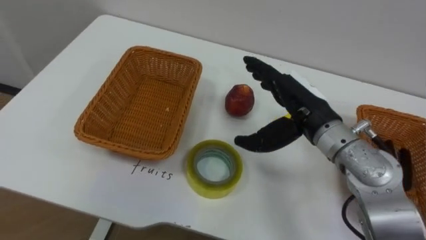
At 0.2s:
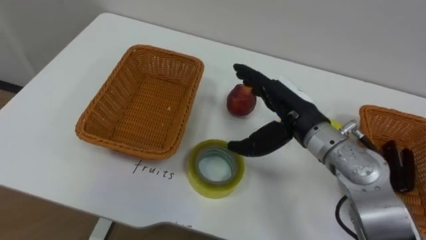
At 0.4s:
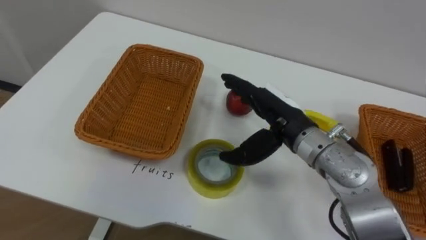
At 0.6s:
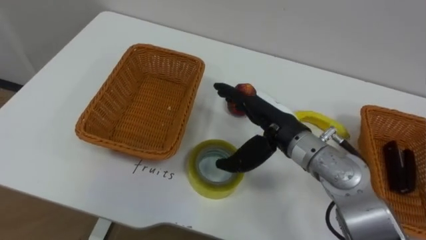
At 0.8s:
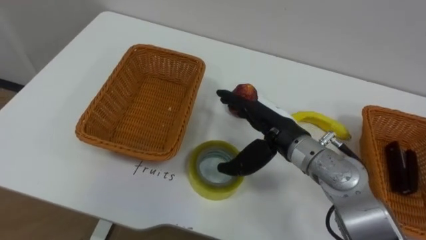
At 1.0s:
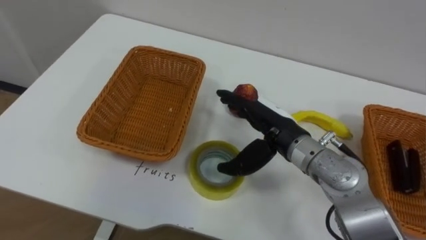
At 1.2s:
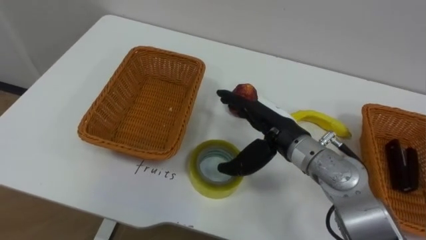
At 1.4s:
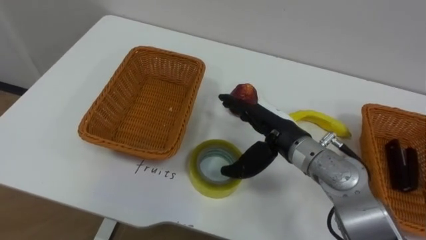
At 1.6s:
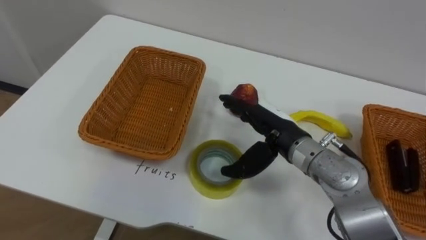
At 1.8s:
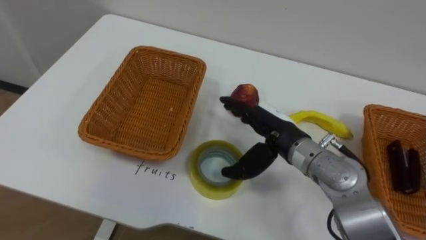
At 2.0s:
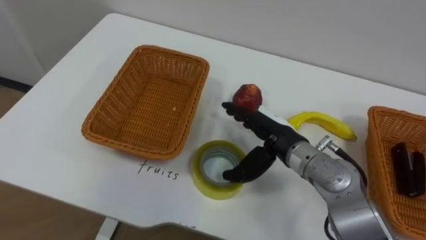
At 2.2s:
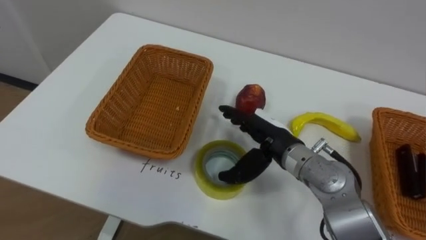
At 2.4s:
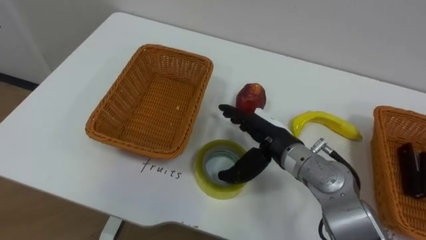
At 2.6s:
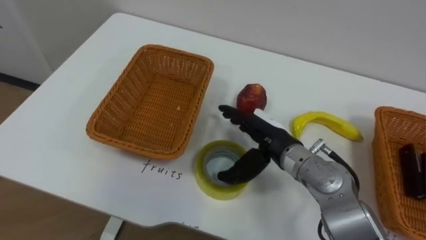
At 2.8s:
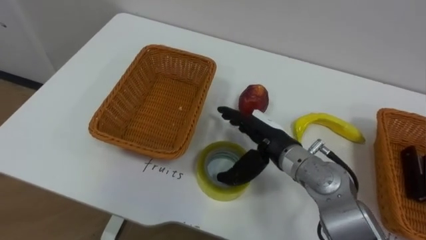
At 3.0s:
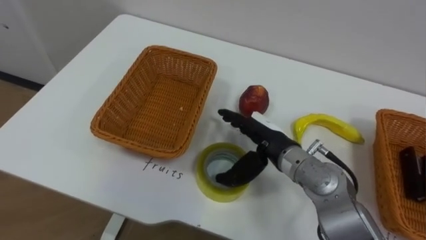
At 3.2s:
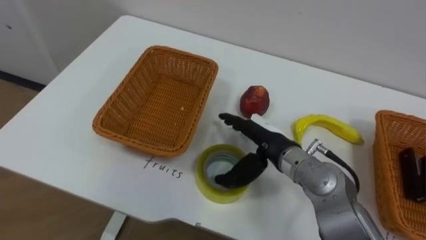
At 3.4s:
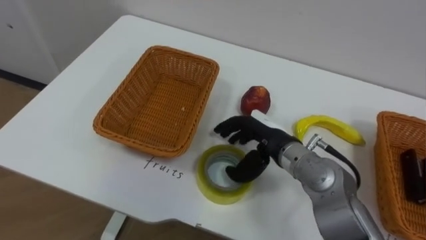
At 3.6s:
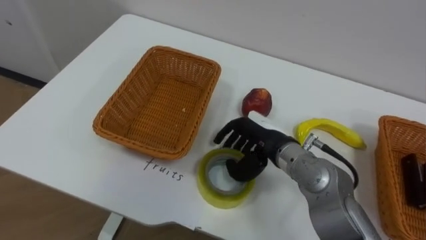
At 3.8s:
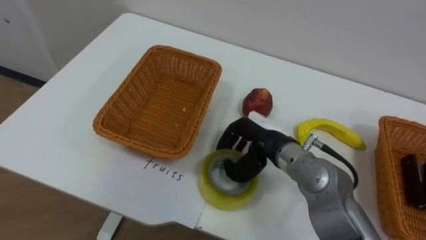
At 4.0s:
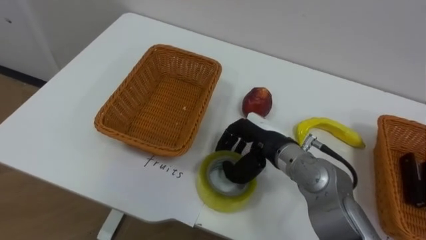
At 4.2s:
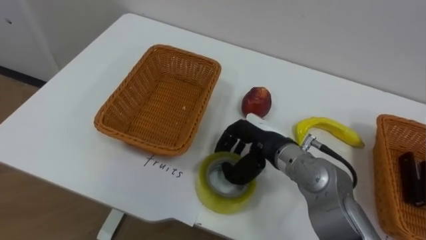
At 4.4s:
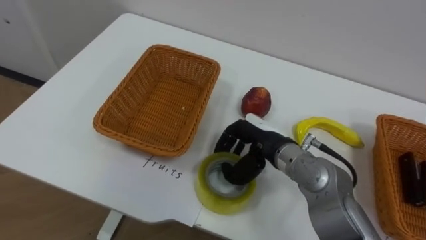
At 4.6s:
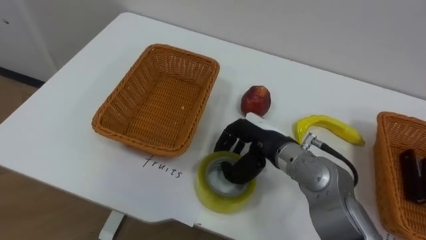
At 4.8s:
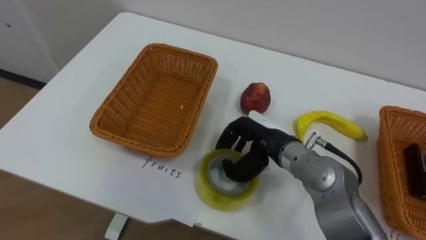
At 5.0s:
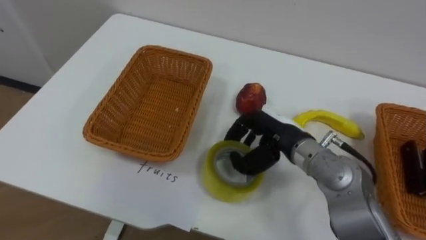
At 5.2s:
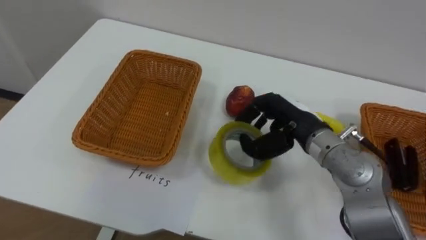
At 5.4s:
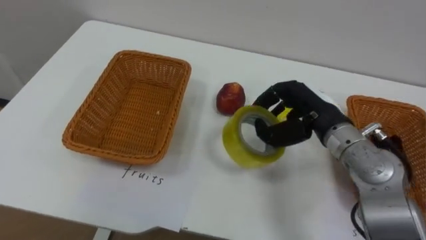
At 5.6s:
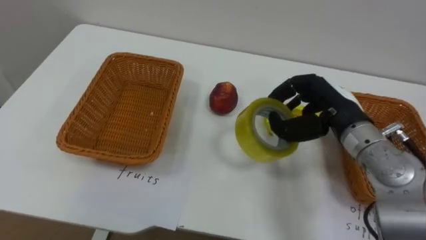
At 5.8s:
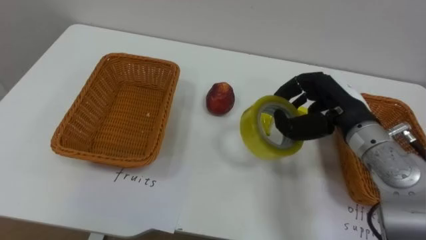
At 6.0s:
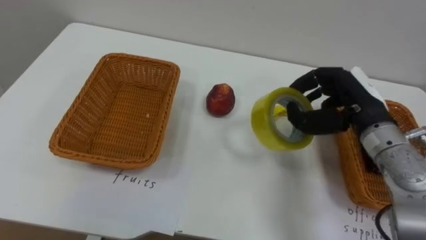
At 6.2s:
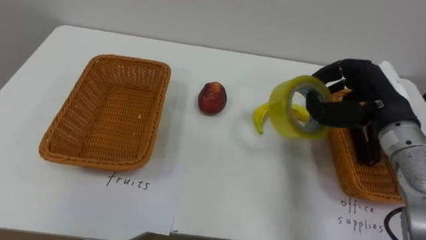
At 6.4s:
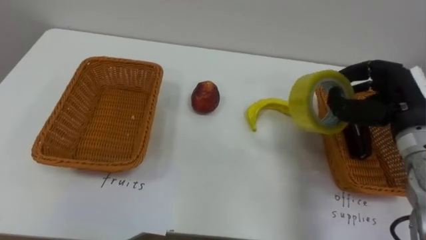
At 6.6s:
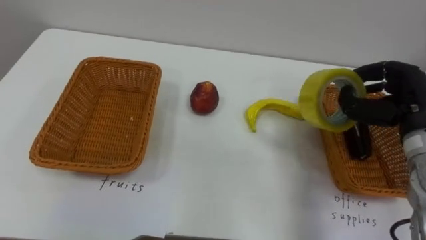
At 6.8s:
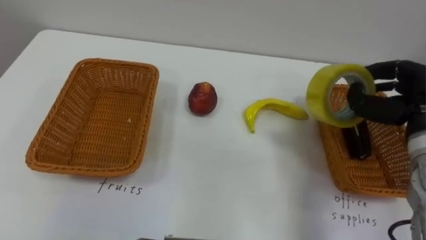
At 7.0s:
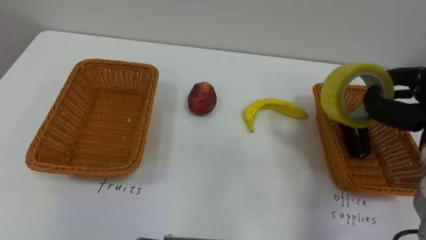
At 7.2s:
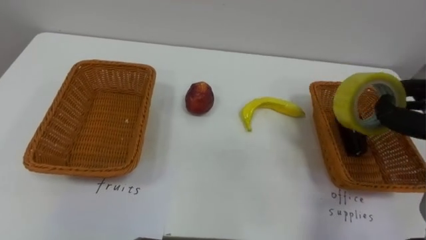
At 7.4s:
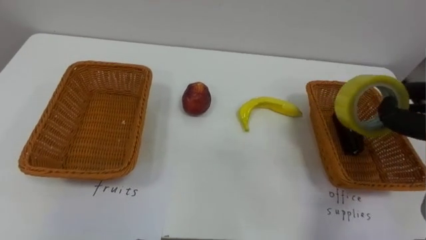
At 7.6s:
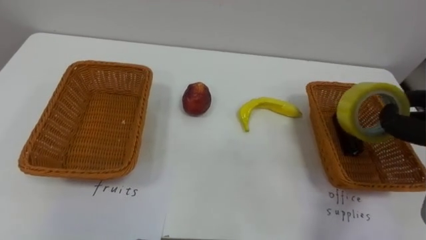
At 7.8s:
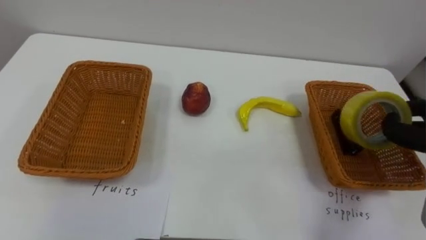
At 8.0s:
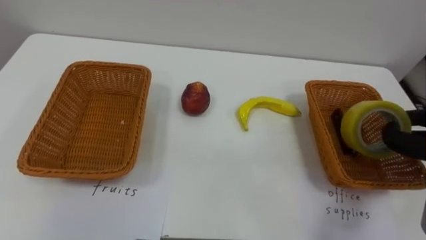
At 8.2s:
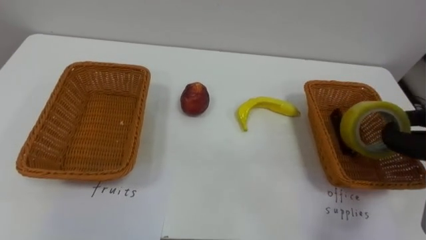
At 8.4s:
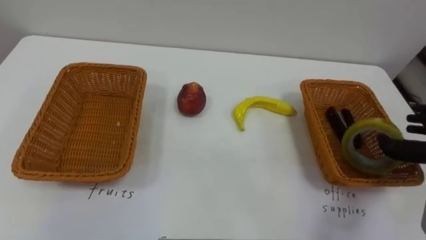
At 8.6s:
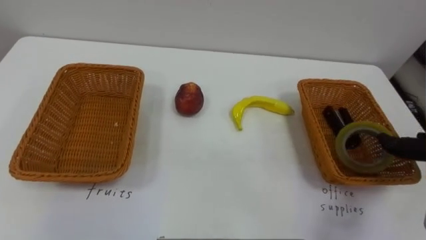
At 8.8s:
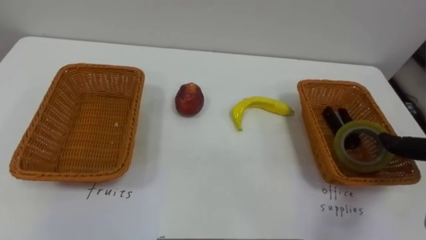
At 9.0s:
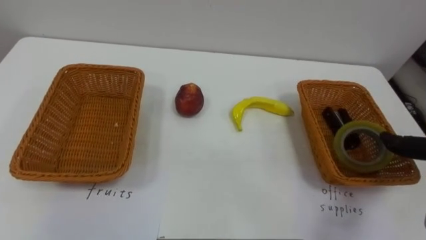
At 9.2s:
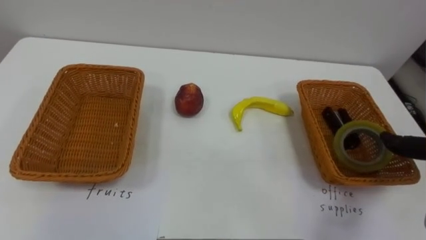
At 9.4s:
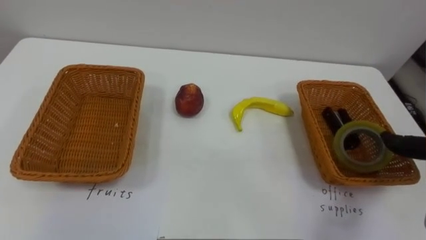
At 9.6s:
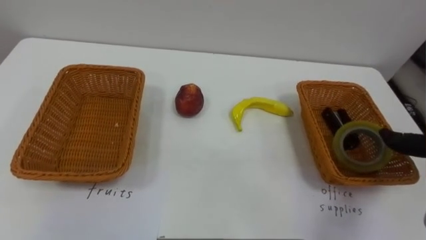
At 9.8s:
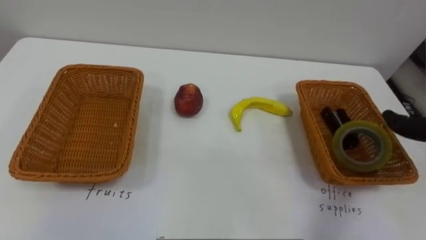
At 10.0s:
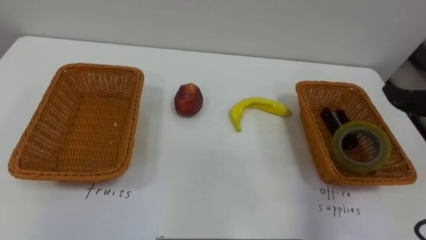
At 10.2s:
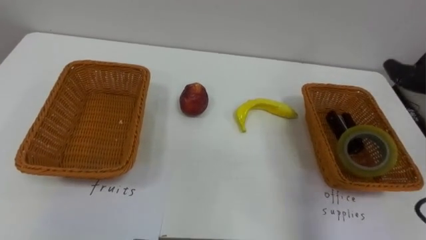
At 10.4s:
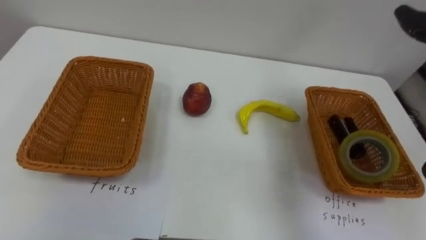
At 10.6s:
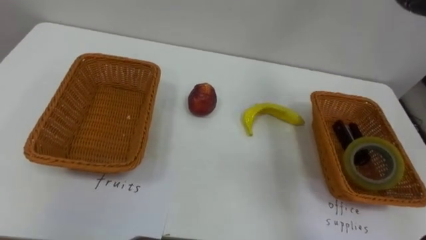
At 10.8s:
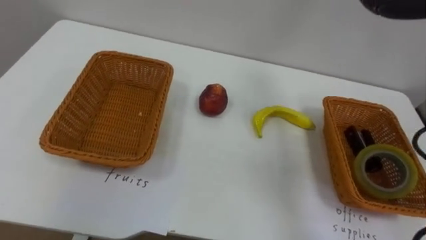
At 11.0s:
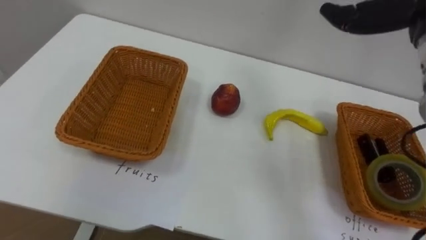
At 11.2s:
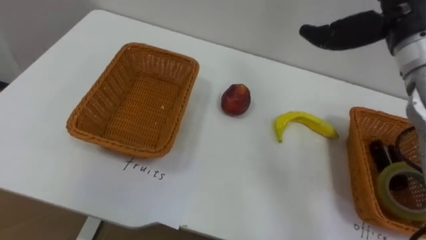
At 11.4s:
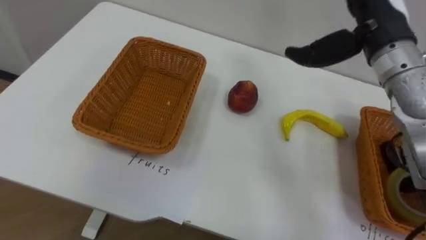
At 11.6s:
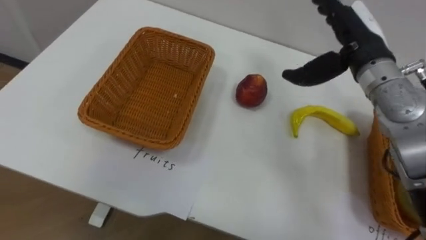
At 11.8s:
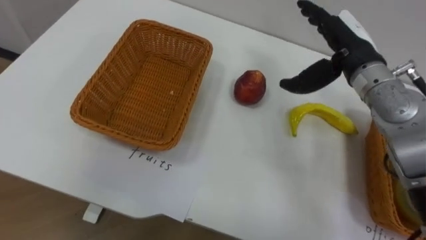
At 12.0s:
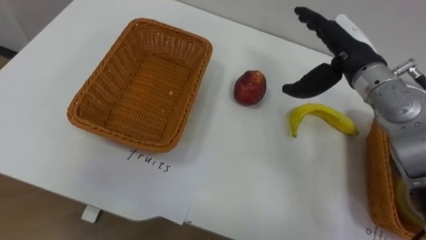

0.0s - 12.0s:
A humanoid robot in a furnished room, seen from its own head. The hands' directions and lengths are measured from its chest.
Task of the whole recording: Separate the items on the table and place them into the two baskets.
0.0s - 1.6s: The right hand shifts by approximately 5 cm.
3.0s - 4.4s: The right hand closes up.
4.4s - 6.0s: The right hand heads to the right and upward, covering approximately 15 cm.

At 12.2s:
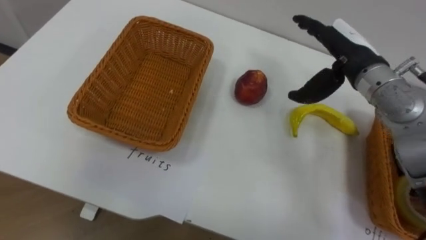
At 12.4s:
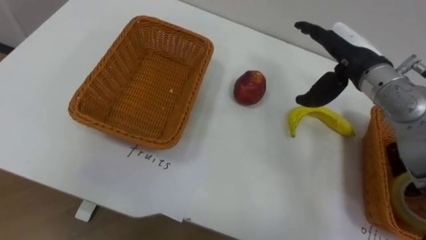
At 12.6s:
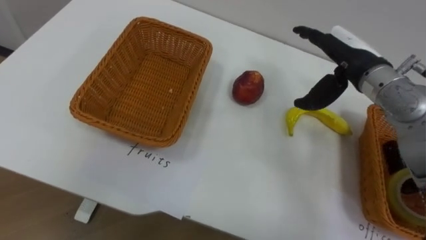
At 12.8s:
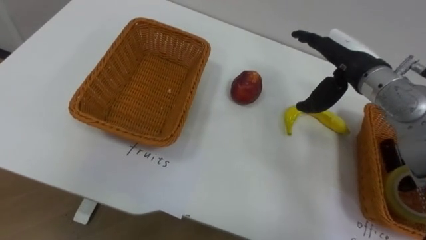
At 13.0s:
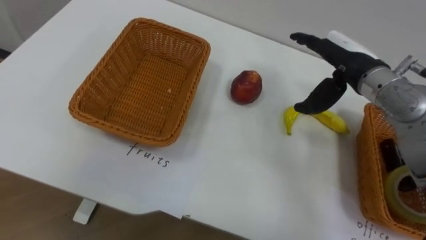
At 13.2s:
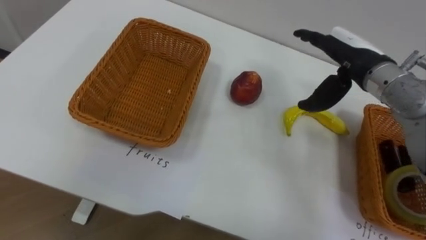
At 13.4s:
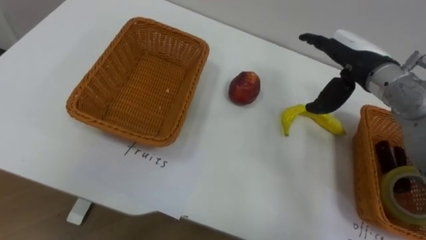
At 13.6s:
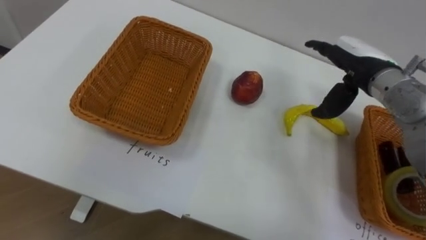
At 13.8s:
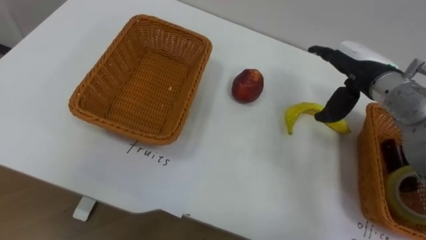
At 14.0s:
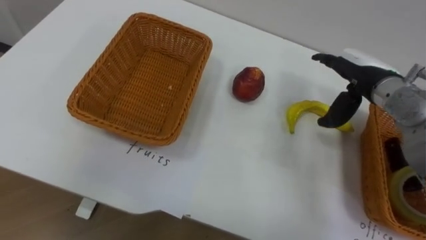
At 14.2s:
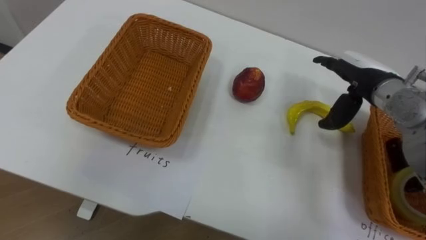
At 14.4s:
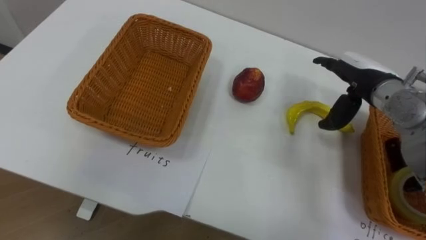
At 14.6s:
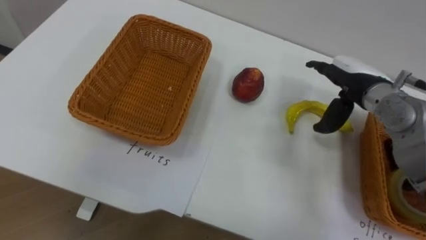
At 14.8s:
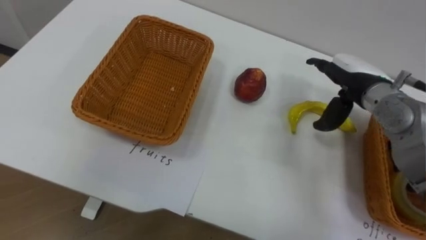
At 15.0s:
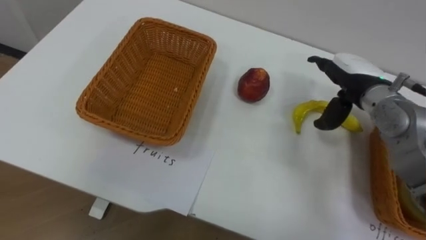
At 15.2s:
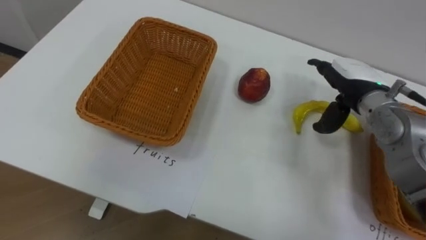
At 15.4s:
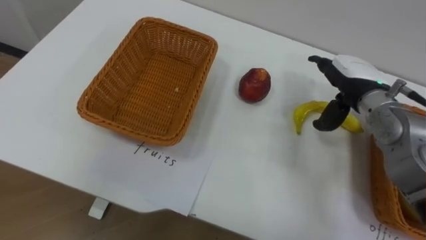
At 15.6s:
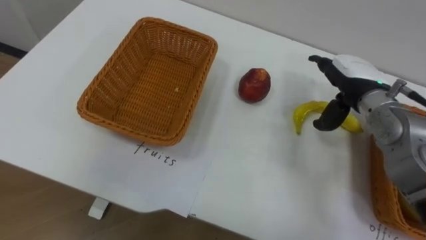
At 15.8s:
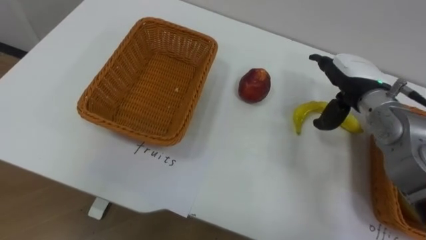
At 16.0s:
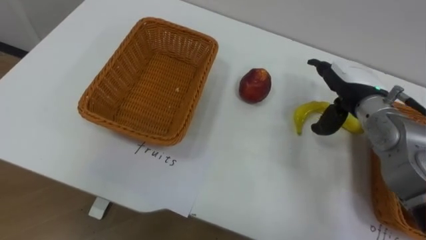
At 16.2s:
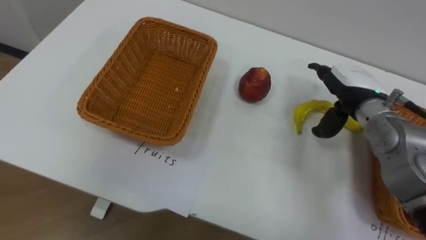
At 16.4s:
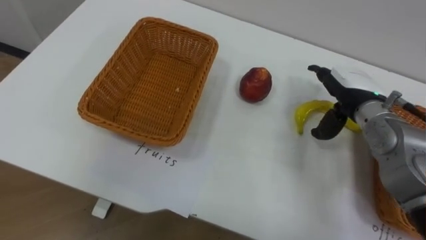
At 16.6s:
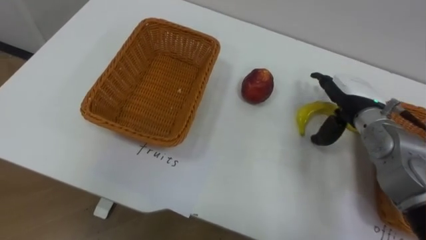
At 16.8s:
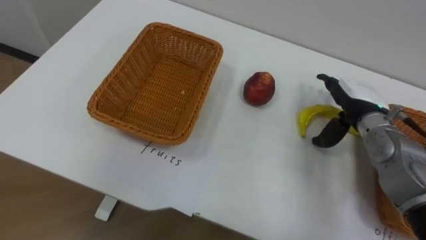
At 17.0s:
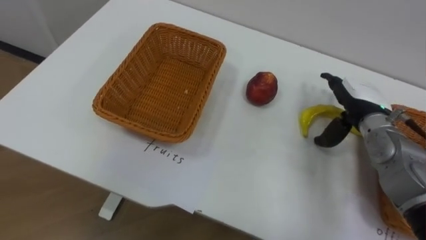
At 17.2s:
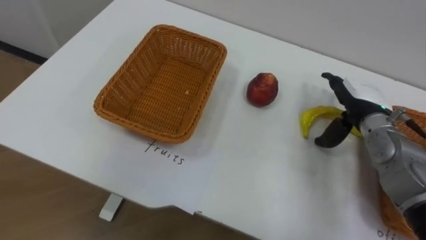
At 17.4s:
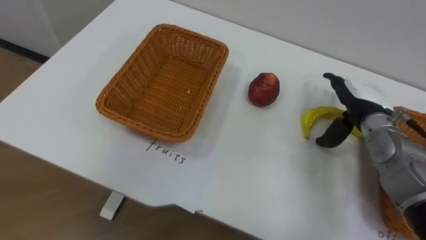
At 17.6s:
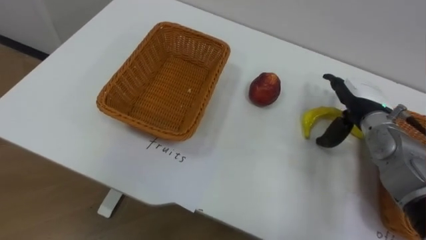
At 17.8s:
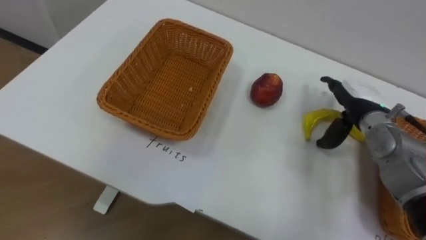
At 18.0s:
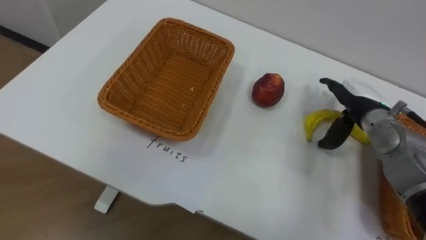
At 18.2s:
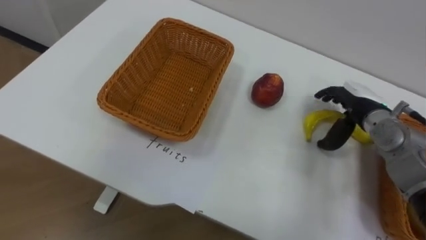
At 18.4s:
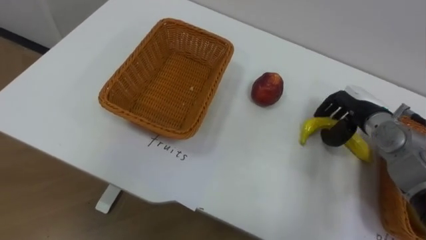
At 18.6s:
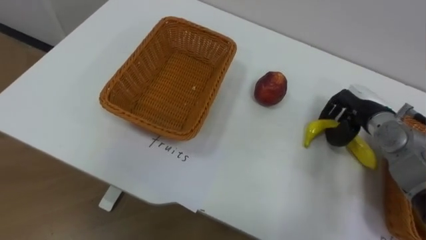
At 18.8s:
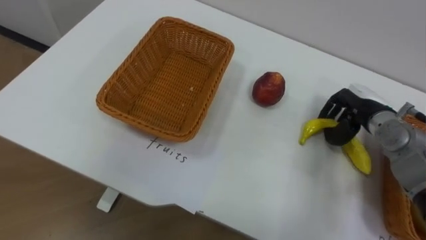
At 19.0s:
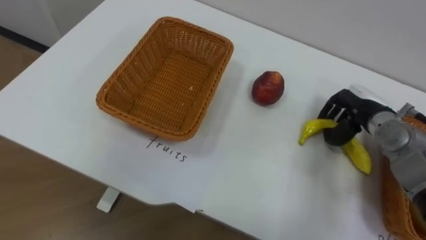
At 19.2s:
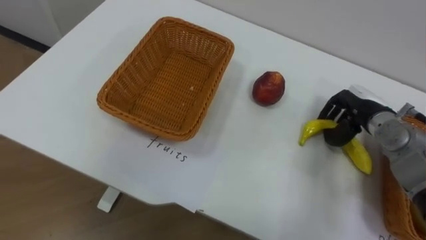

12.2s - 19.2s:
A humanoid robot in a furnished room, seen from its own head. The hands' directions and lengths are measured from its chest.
Task of the whole recording: Separate the items on the table and place them into the two baskets.
17.8s - 19.2s: The right hand closes its fingers.
